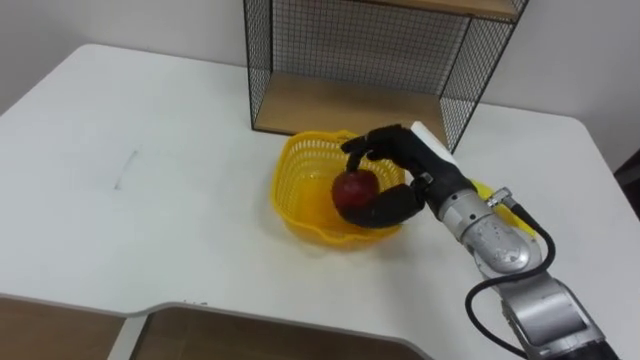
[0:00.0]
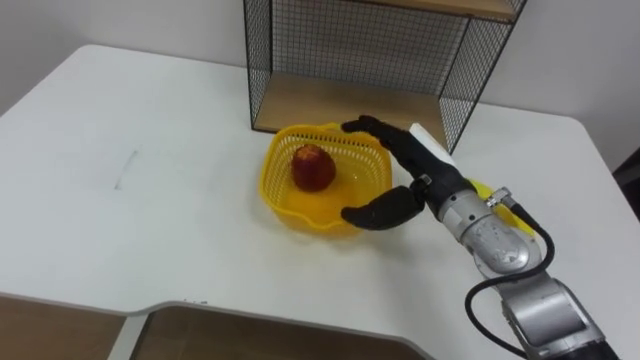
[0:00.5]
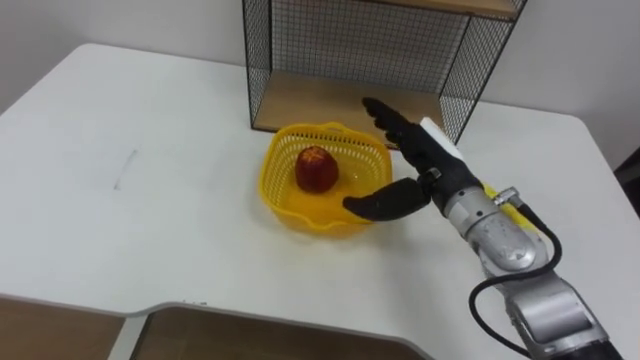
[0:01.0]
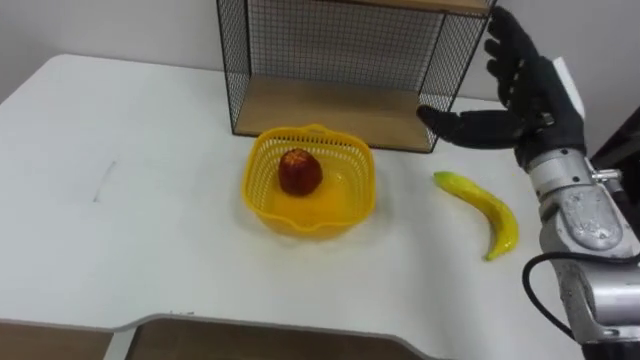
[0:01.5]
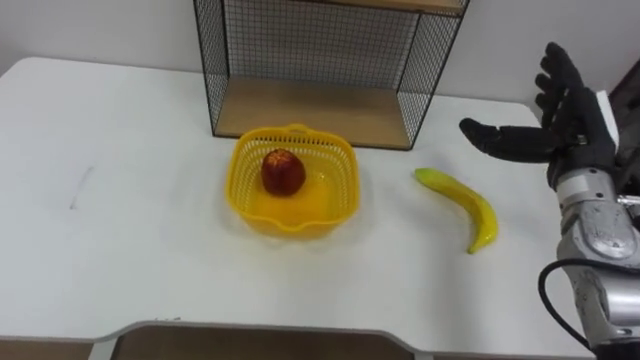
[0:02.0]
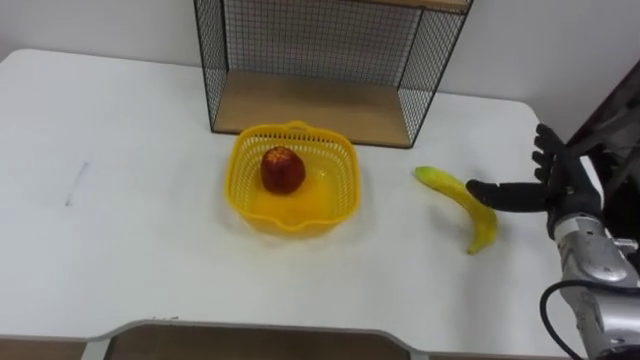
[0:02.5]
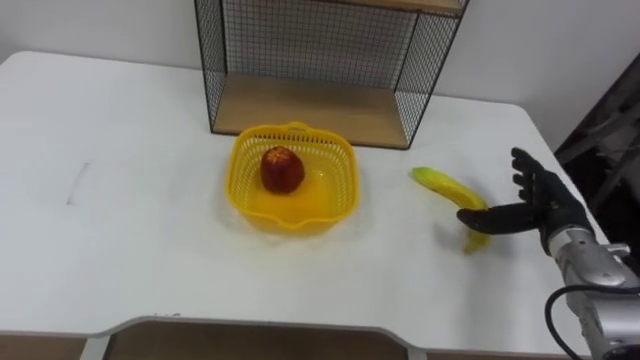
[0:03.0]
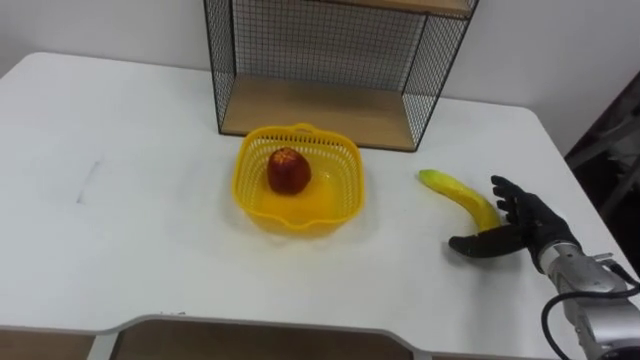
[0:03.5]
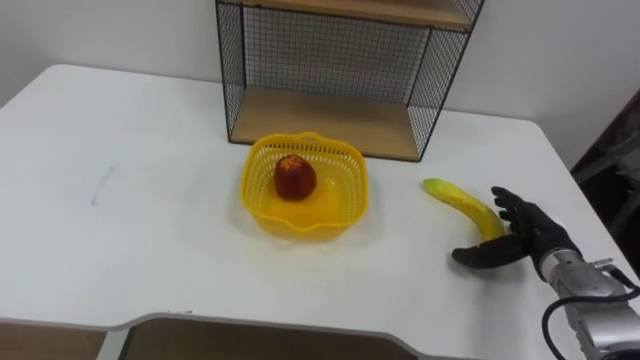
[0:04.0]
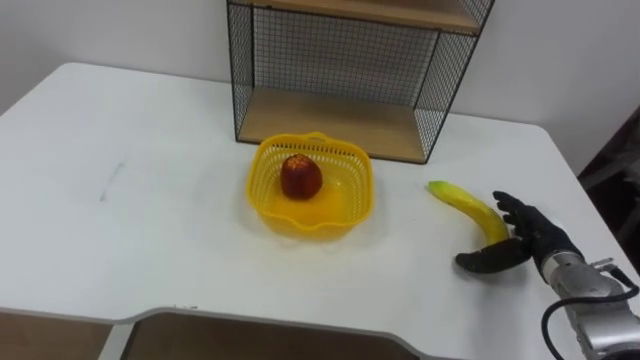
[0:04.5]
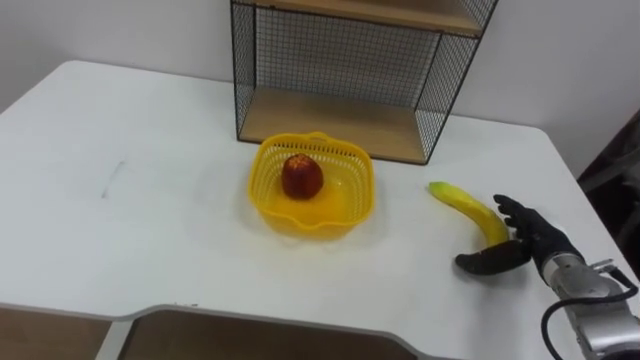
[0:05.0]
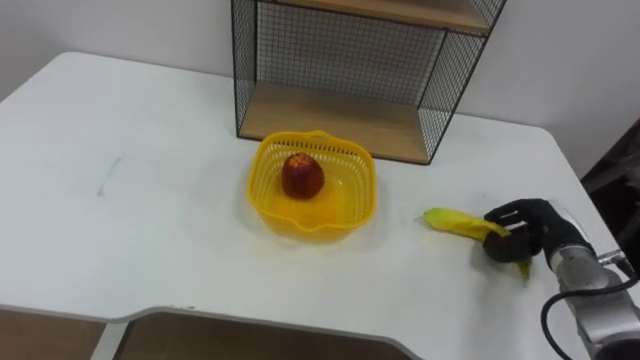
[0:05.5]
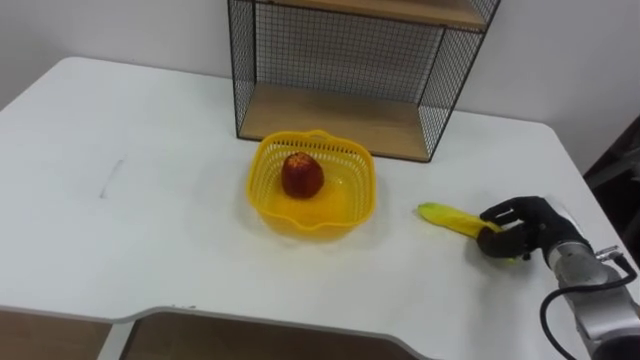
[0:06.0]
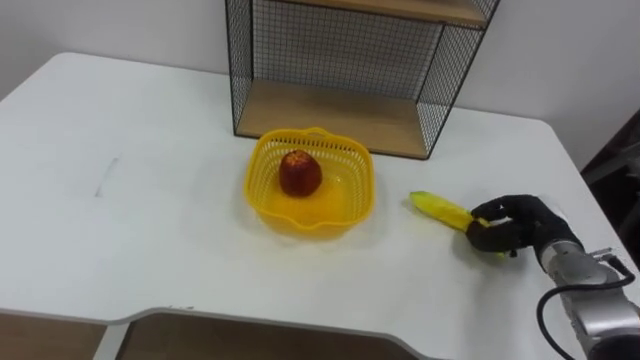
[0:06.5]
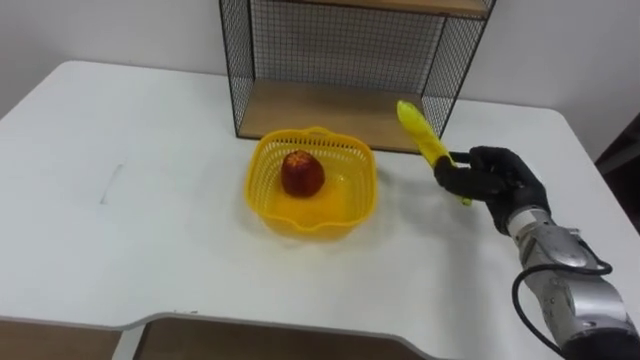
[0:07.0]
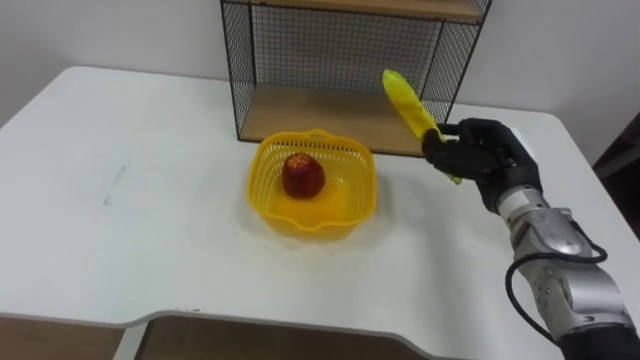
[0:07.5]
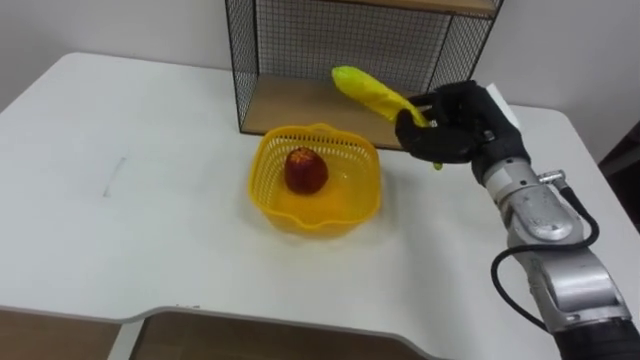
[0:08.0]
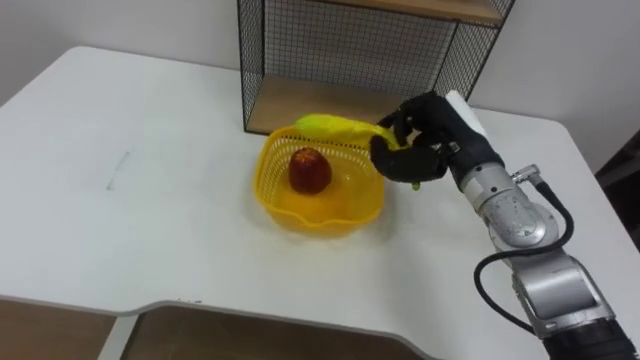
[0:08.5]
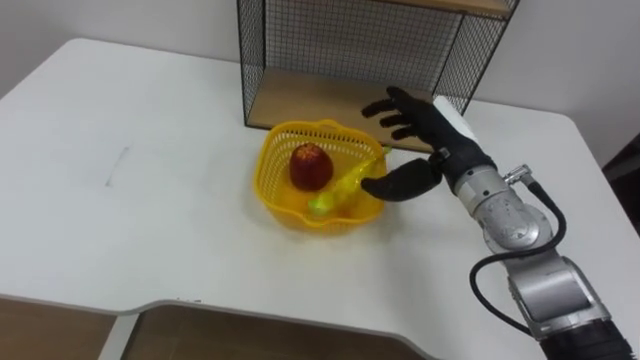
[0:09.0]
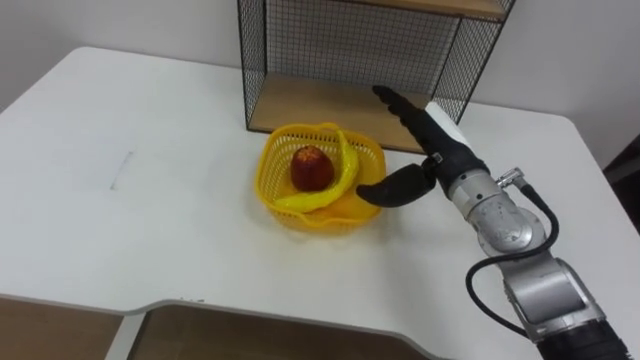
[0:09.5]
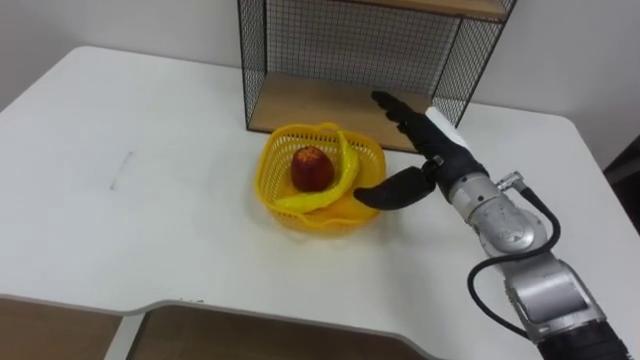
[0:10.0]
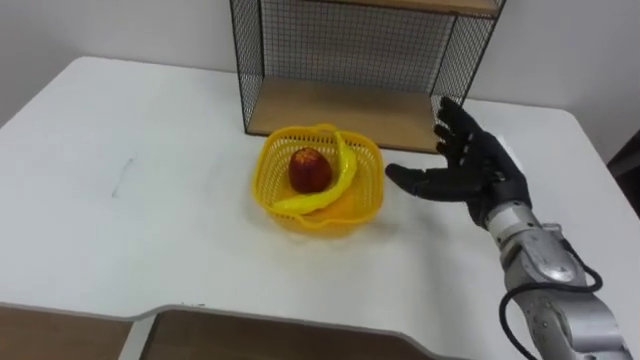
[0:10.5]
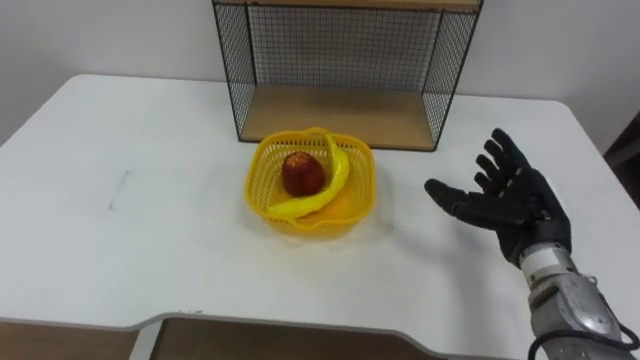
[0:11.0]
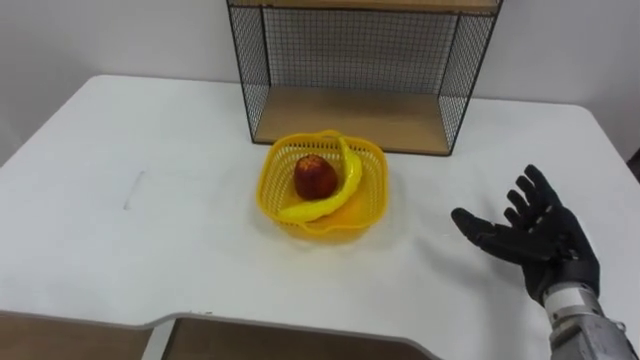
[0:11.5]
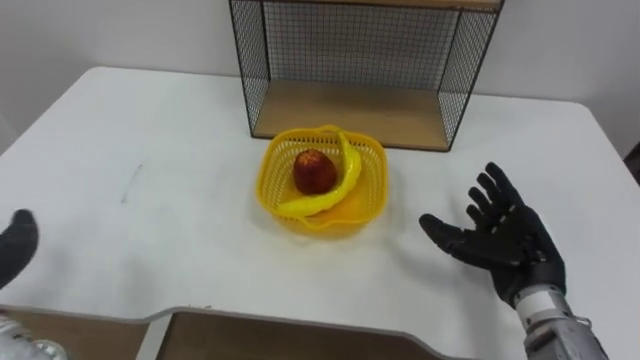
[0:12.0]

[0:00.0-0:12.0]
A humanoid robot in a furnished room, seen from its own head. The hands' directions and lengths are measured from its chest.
Task of the whole recording: Put the fruit on the table into the basket, then place the basket on the shelf.
0:00.0 to 0:02.0: The right hand shifts about 15 cm to the right.
0:02.0 to 0:04.0: The right hand moves downward, about 15 cm.
0:04.0 to 0:06.0: The right hand closes its fingers.
0:06.0 to 0:08.0: The right hand goes some 20 cm upward and to the left.
0:08.0 to 0:10.0: The right hand moves some 5 cm, and opens its fingers.
0:10.0 to 0:12.0: The right hand moves backward, to the right and downward, about 15 cm.

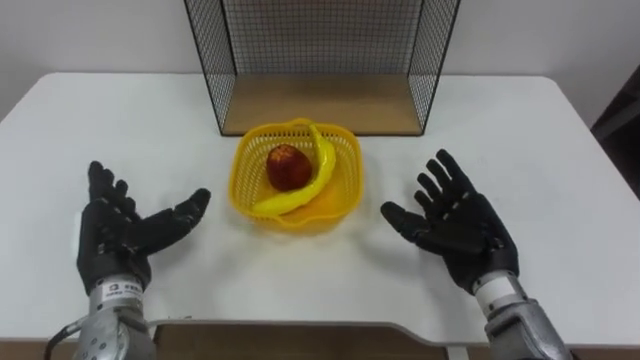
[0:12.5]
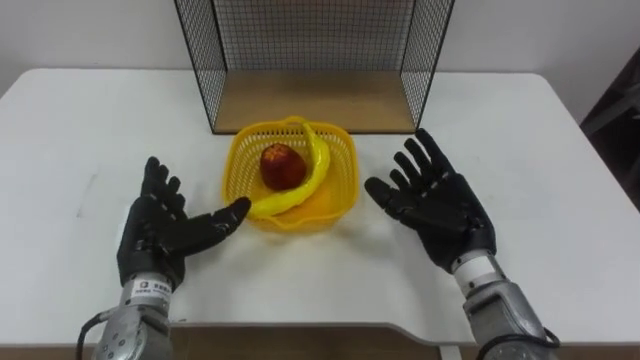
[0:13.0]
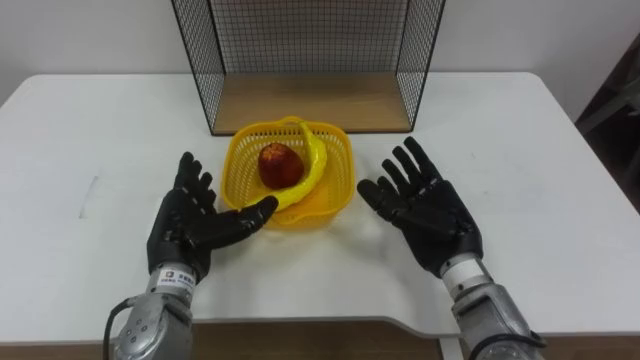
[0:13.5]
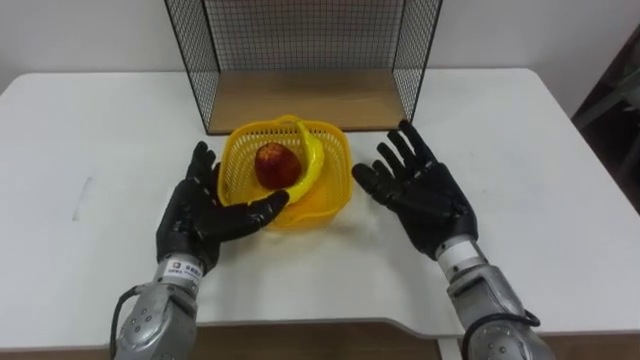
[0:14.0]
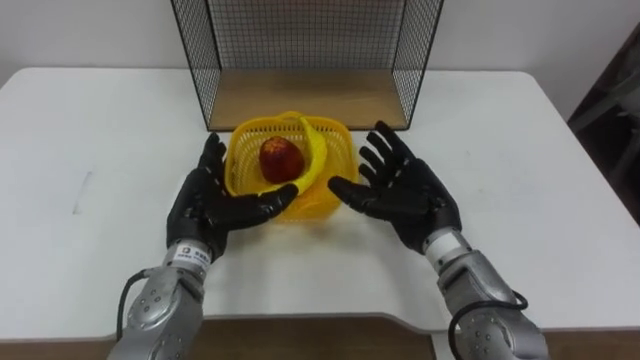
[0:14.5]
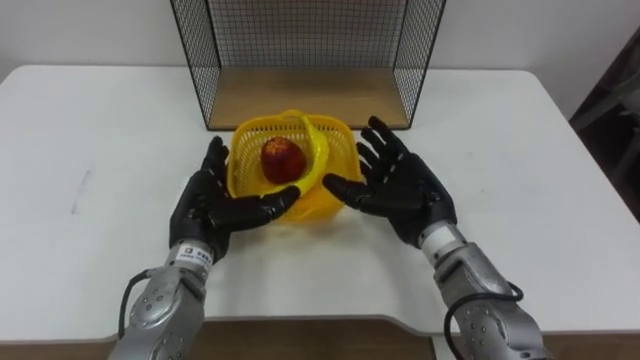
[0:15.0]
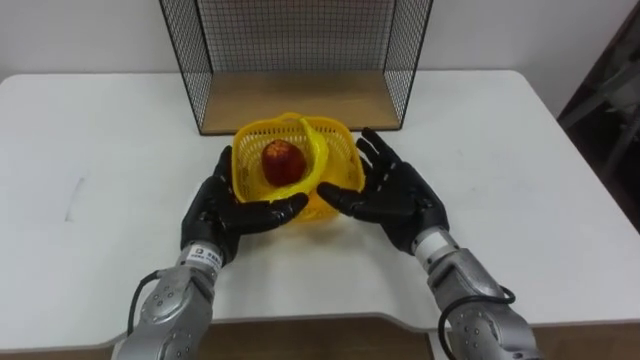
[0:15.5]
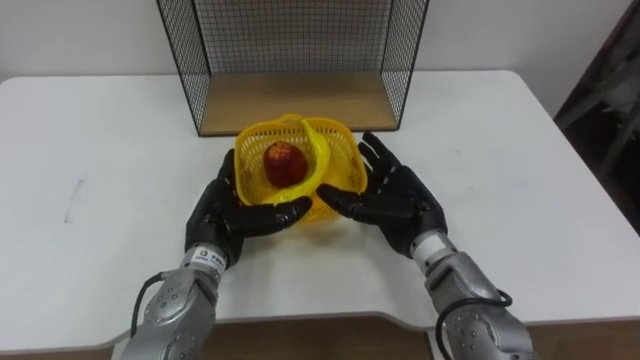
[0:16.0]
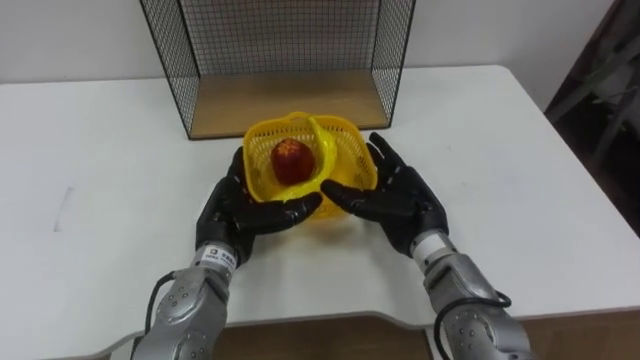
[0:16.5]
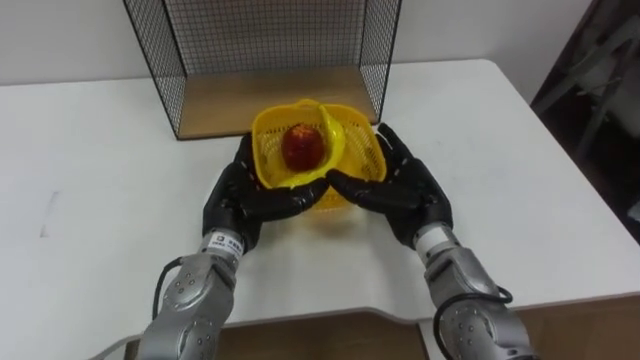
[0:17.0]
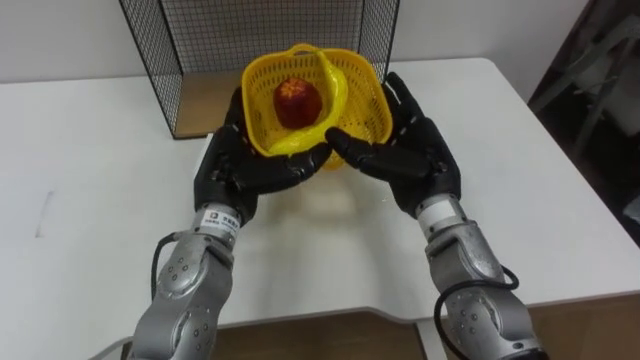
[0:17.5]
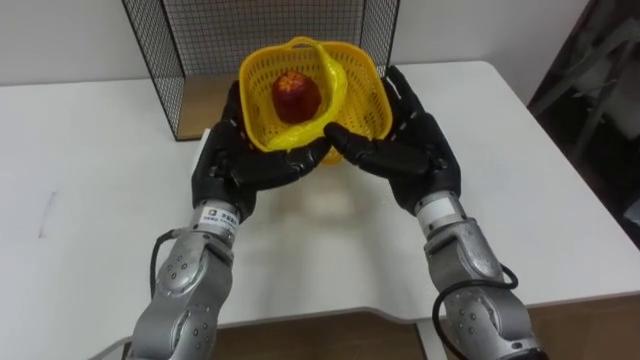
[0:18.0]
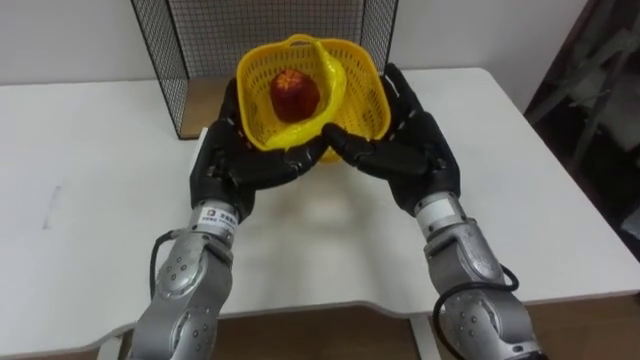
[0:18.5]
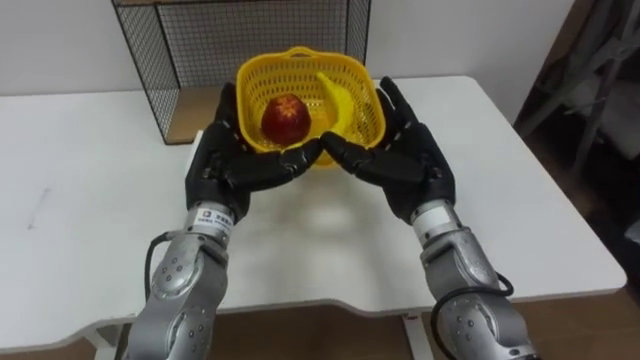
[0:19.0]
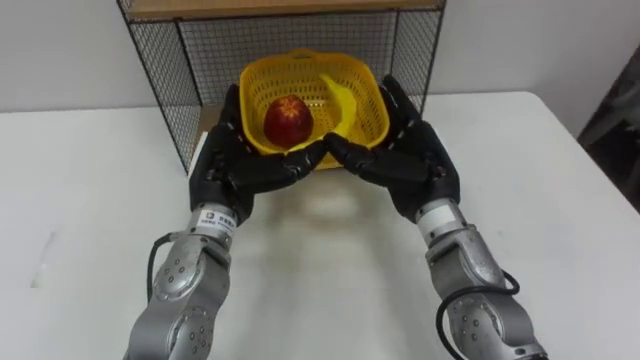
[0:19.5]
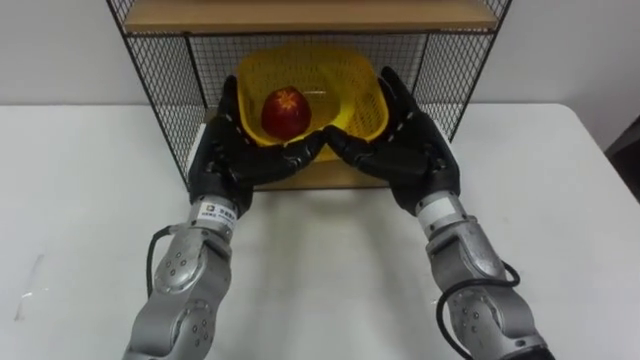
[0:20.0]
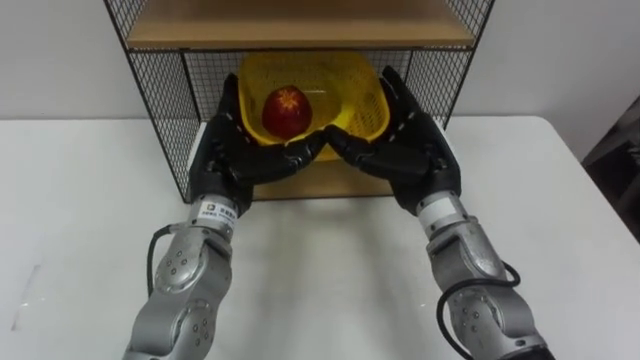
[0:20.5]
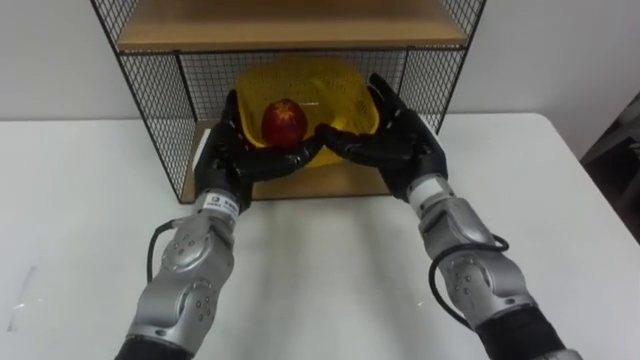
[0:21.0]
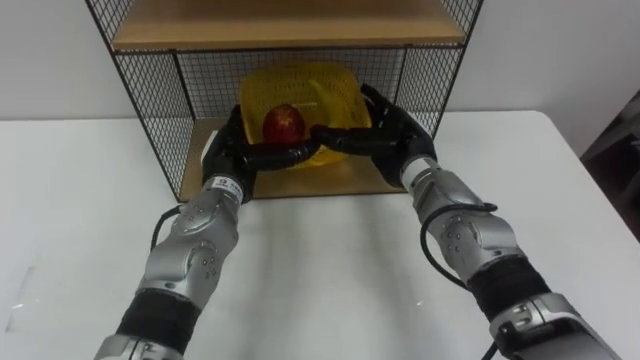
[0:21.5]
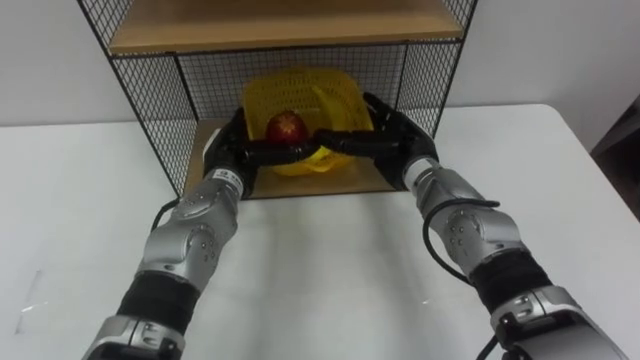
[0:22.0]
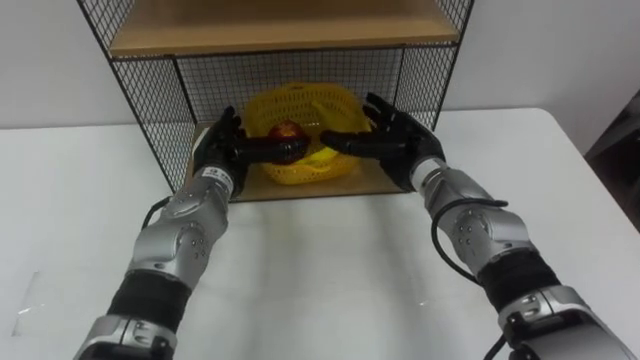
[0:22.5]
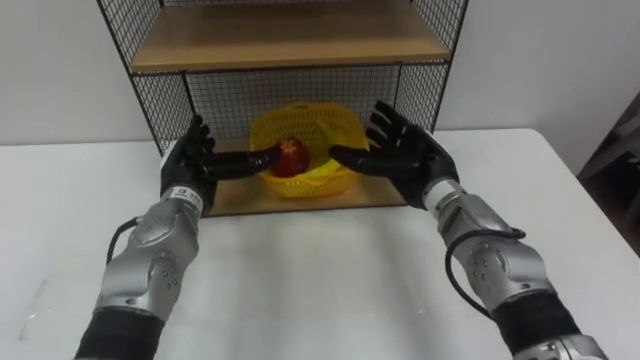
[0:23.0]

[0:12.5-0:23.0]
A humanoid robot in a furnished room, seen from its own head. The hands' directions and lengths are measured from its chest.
Task of the whole recording: Put the fruit on the table into the basket, then place the basket on the shelf.
0:12.5 to 0:14.5: The right hand heads to the left, covering about 5 cm; the left hand goes approximately 10 cm to the right.
0:16.5 to 0:19.0: The two hands go some 5 cm upward.
0:21.0 to 0:23.0: The left hand moves to the left, about 5 cm.
